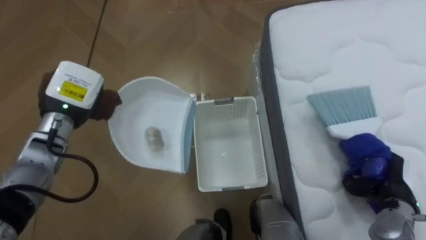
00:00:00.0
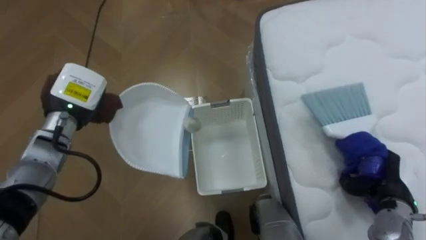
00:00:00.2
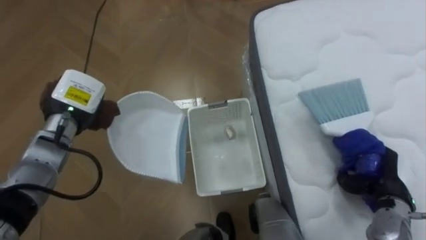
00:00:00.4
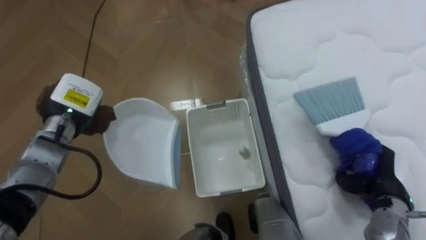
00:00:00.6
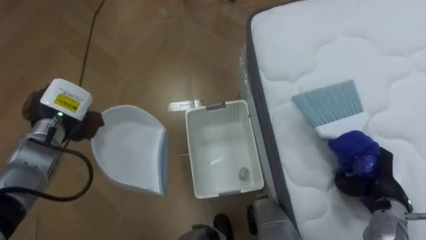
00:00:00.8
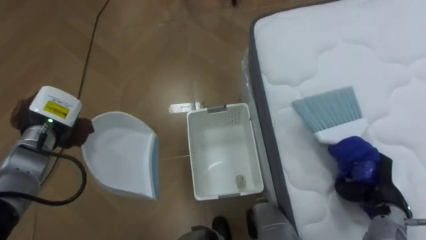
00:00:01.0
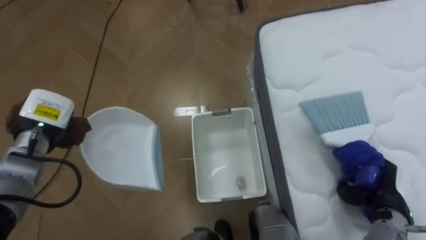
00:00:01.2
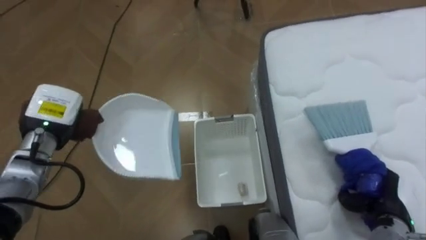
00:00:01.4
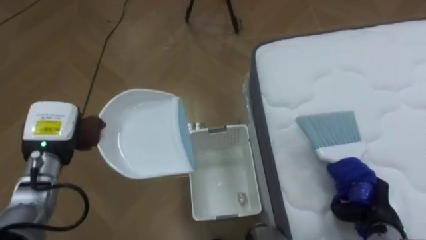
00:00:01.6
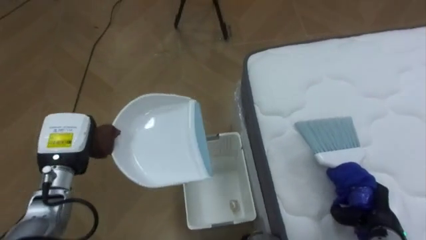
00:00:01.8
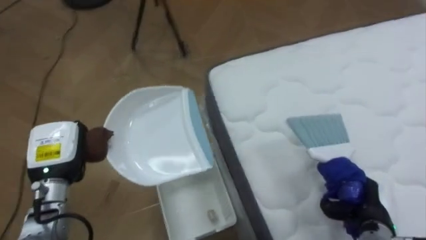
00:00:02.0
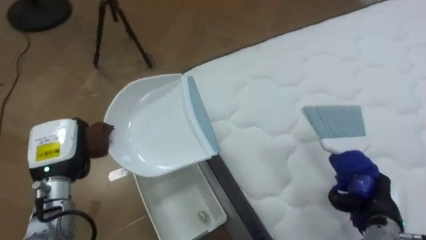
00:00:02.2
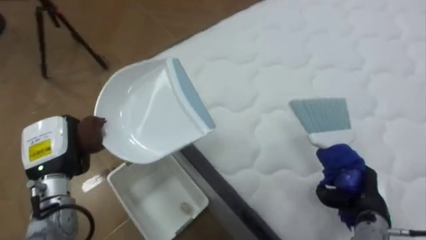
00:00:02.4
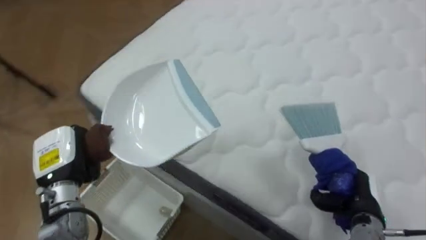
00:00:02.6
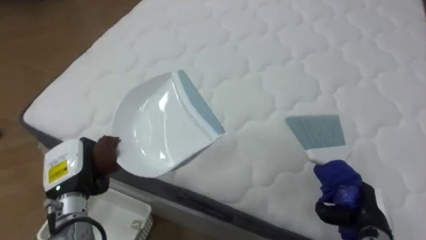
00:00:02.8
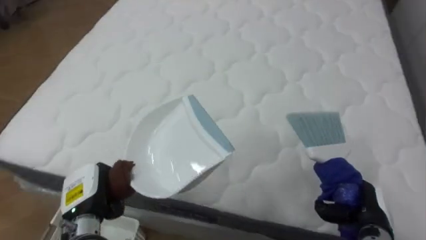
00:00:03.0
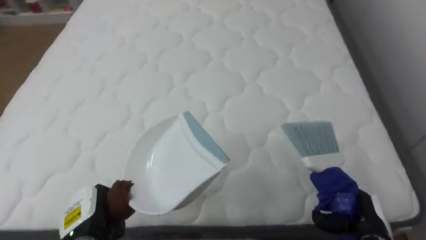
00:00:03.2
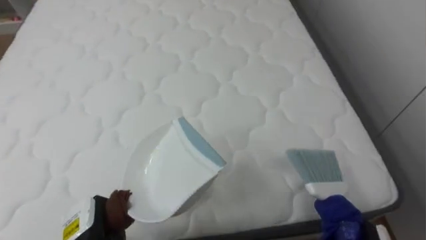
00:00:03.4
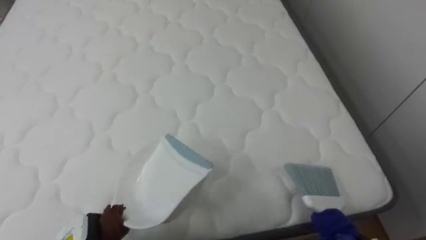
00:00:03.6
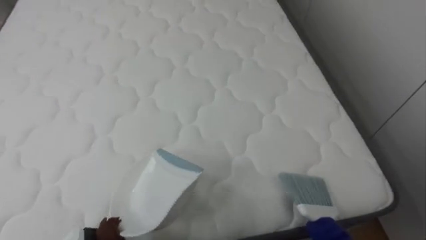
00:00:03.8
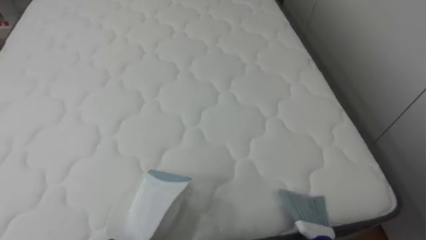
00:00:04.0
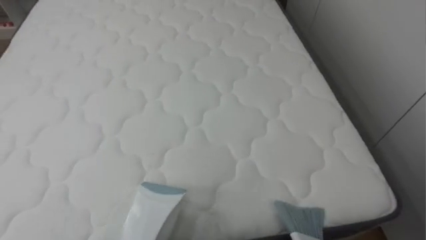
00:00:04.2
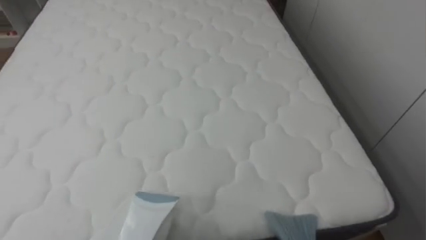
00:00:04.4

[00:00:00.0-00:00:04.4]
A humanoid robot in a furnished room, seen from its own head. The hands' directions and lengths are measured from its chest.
Task of the whole recording: Pick up the brush on your right and the dustpan on your left. Use the brush to sweep the crumpled paper on the bed into the dustpan, then turn left and empty it into the basket.
00:00:00.0 to 00:00:01.4: The left hand changes place by some 5 cm.
00:00:01.4 to 00:00:03.0: The robot rotates some 80 degrees to its right. The left hand goes some 15 cm backward, downward and to the right.
00:00:03.0 to 00:00:04.4: The robot's body swings some 25 degrees to its right.

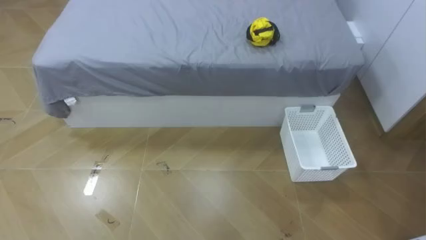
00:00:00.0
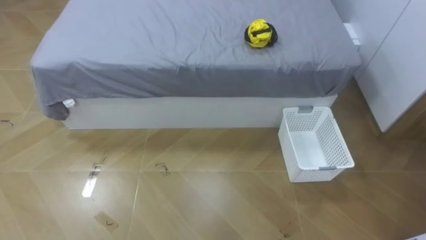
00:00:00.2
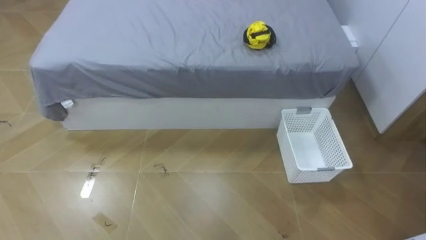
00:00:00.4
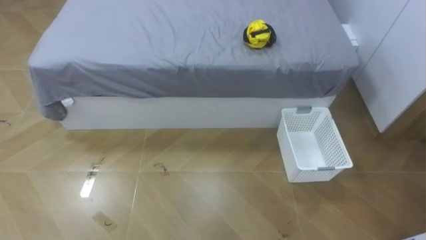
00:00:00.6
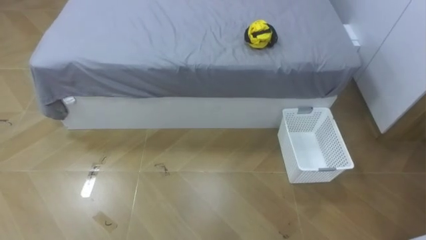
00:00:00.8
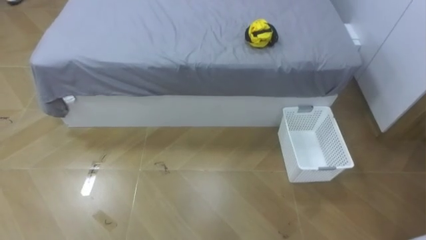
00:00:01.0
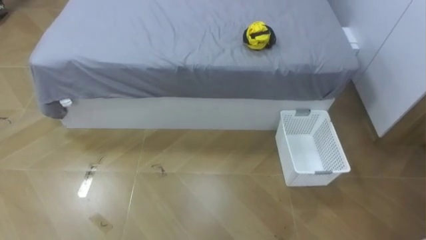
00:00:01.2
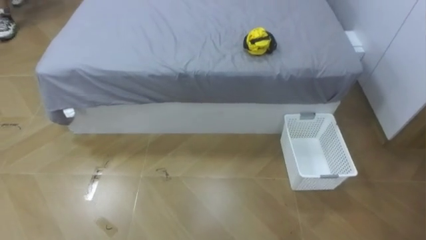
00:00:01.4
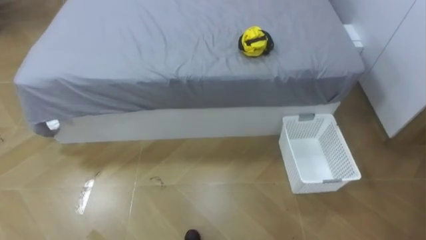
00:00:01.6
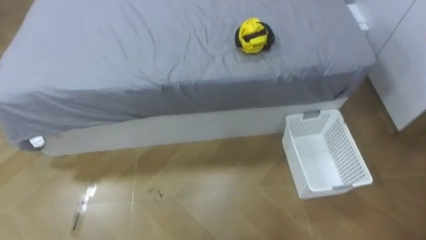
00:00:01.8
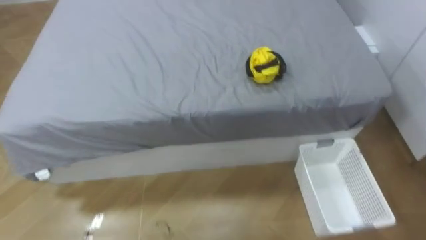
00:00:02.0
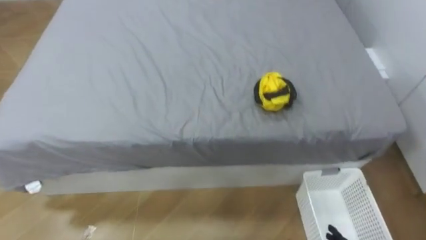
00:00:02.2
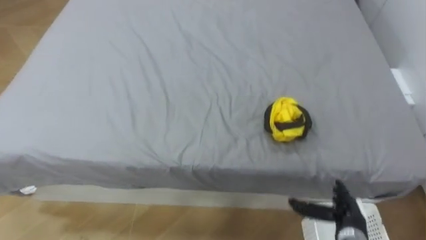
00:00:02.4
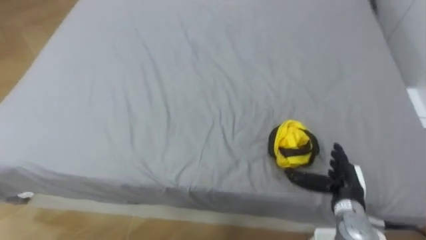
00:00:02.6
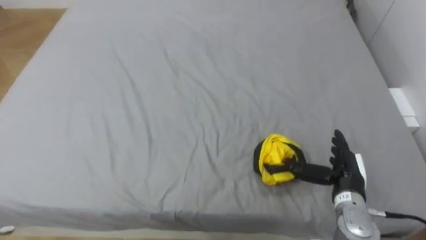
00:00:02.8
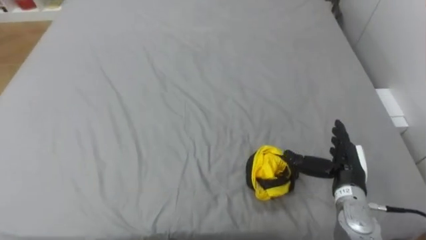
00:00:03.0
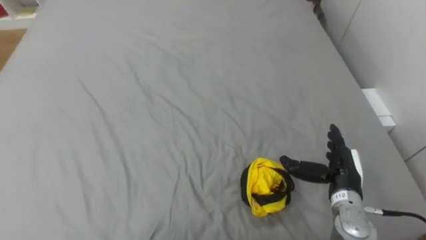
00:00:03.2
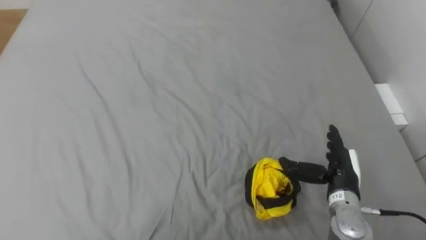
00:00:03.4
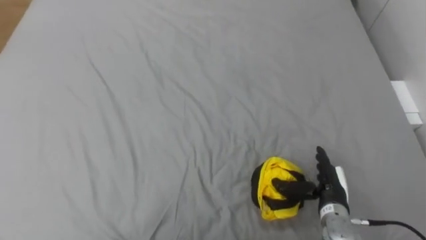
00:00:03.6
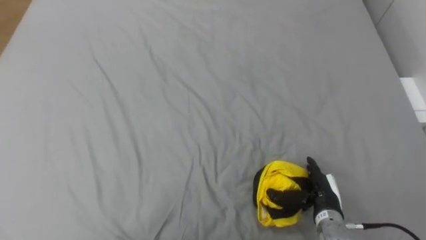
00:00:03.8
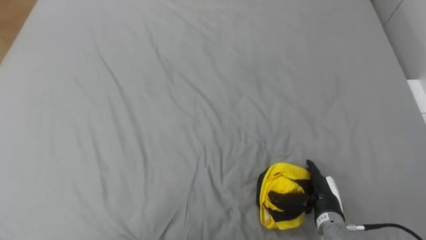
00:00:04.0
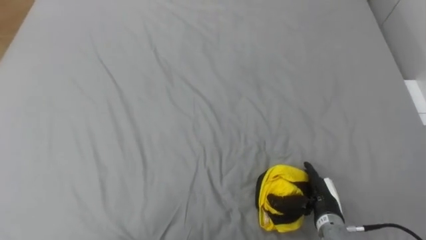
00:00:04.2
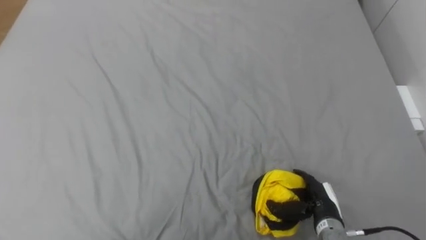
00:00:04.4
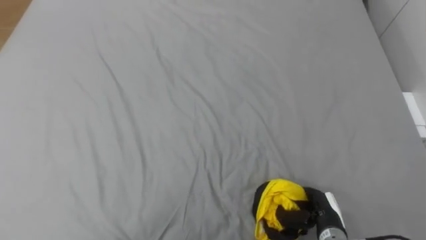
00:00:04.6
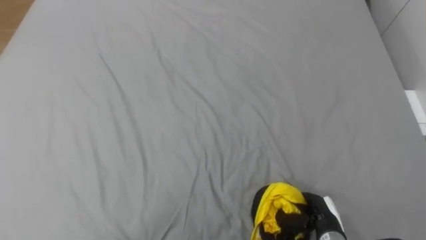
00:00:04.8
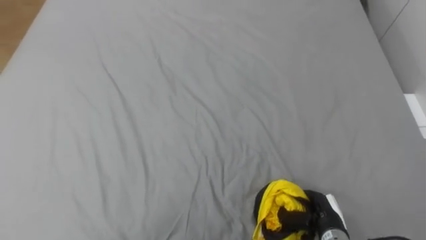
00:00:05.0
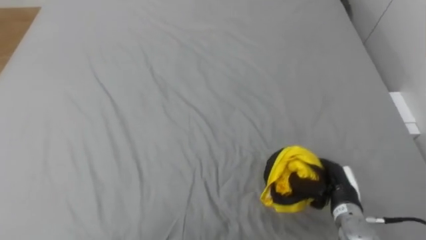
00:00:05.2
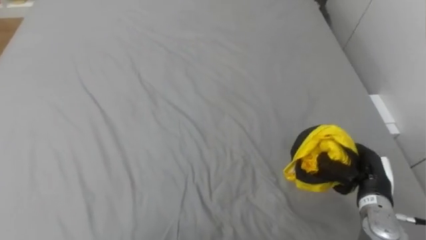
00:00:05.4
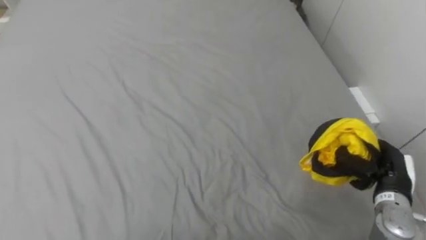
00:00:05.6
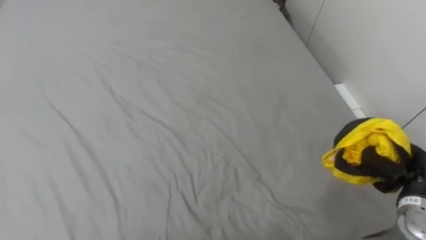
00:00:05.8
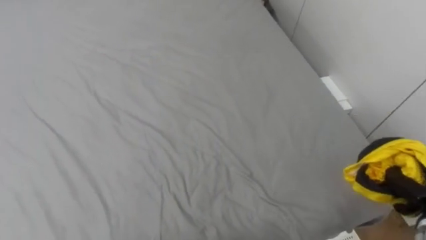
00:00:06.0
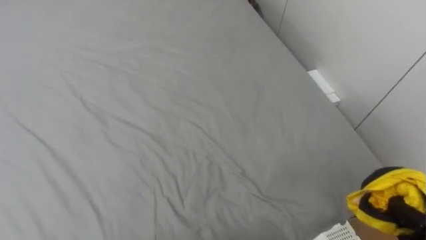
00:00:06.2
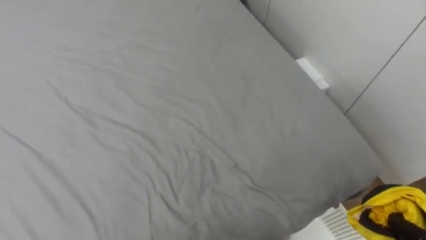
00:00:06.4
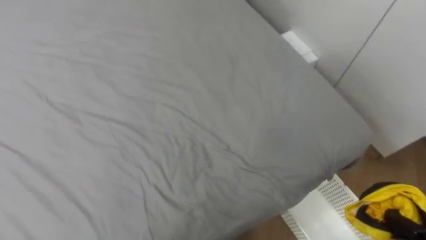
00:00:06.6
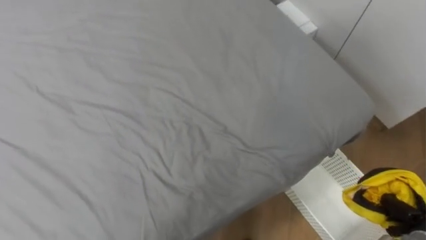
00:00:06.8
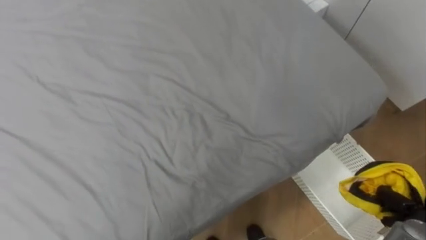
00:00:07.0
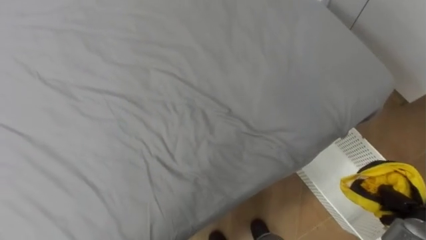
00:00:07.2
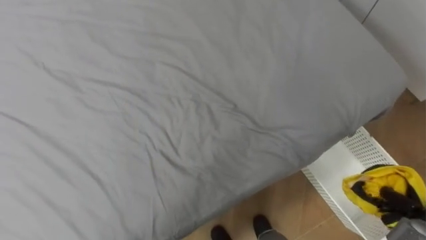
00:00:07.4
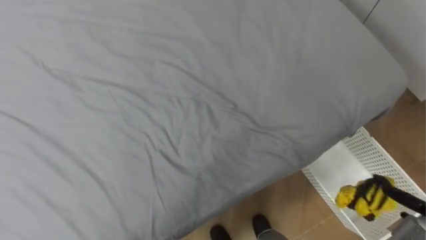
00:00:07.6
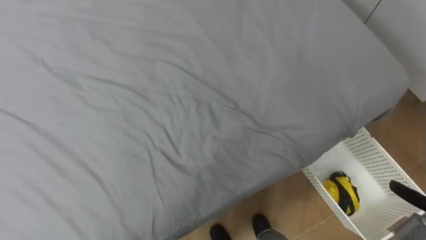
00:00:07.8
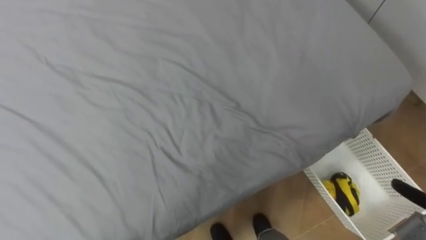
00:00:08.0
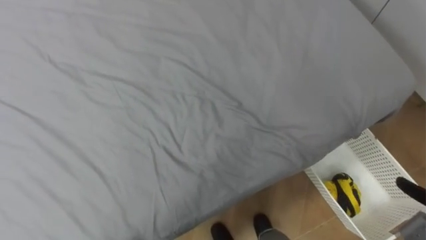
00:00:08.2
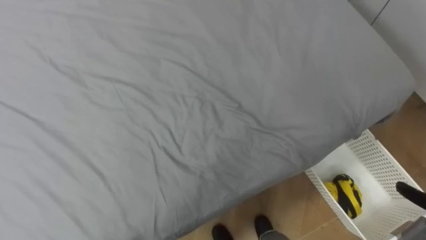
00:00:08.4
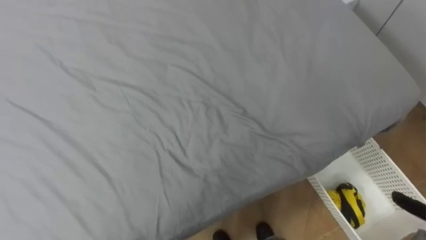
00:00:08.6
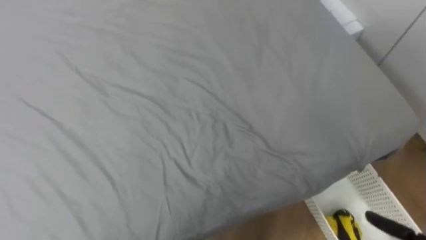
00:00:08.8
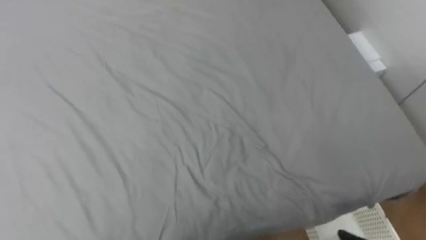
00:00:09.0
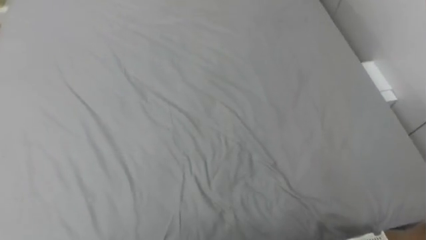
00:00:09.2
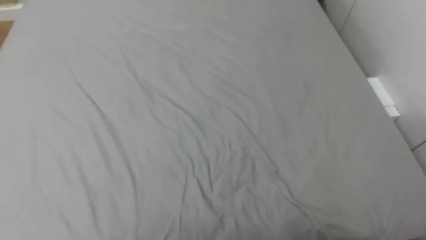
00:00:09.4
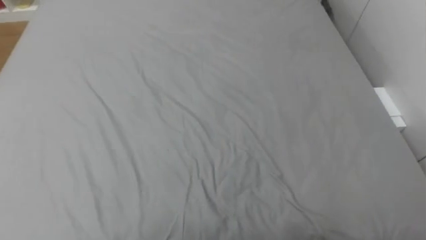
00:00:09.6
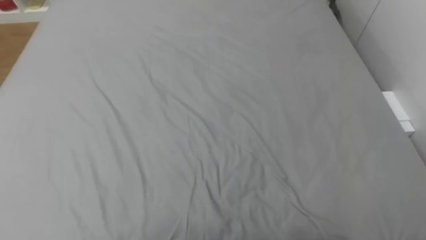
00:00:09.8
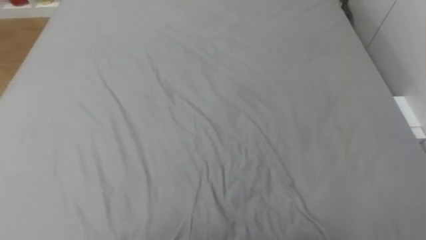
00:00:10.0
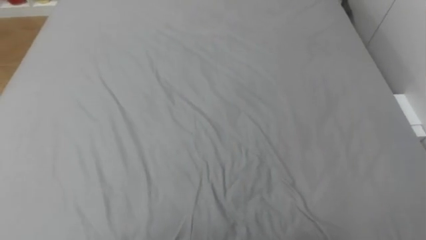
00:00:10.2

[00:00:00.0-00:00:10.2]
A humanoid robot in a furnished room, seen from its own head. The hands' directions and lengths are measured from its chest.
Task of the whole recording: Pick up the yellow clothes on the bed and place them into the white basket on the right.
00:00:03.0 to 00:00:04.4: The right hand moves downward, roughly 10 cm.
00:00:04.4 to 00:00:05.8: The right hand goes about 20 cm to the right and upward, and closes.

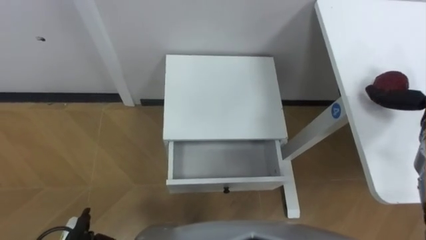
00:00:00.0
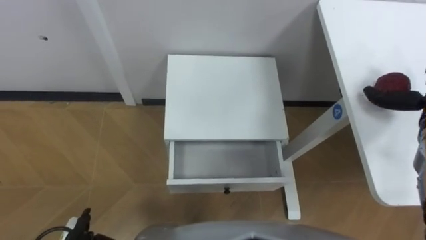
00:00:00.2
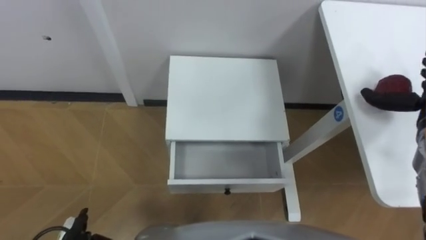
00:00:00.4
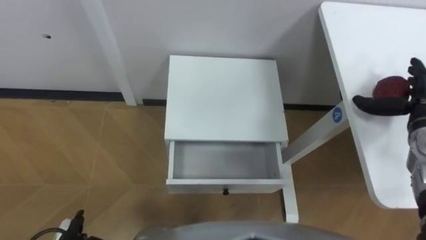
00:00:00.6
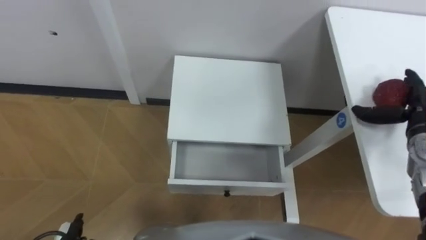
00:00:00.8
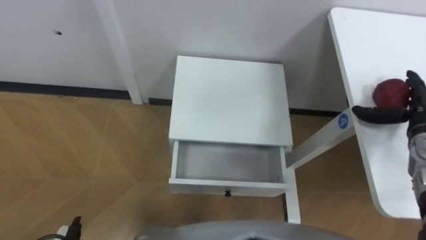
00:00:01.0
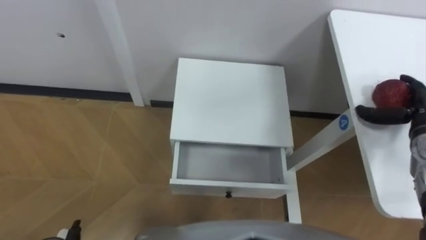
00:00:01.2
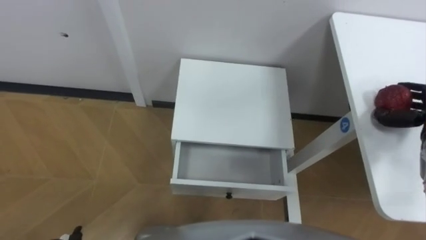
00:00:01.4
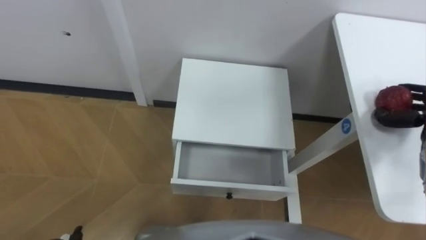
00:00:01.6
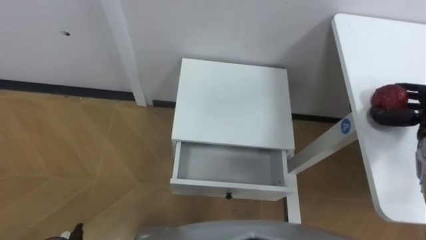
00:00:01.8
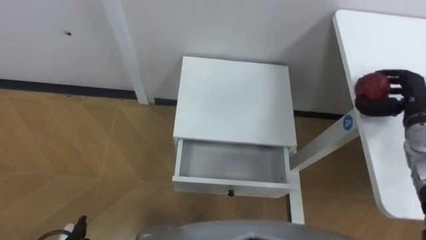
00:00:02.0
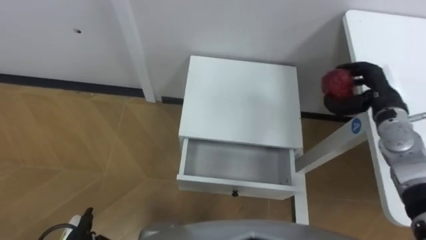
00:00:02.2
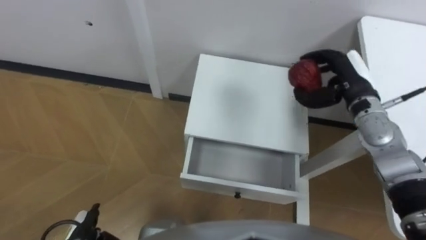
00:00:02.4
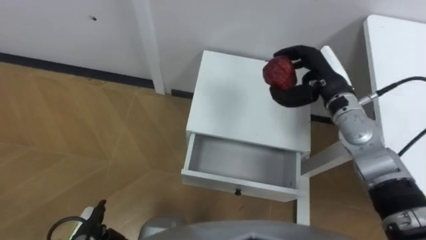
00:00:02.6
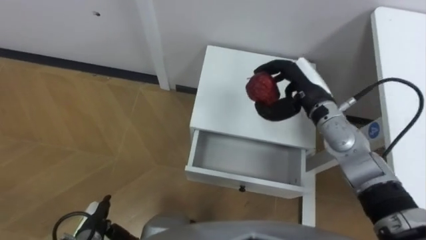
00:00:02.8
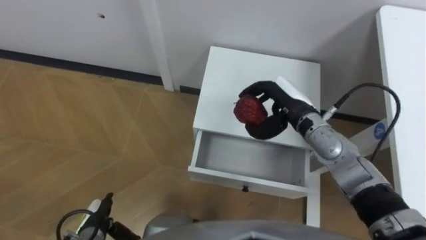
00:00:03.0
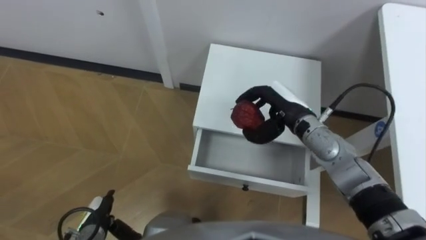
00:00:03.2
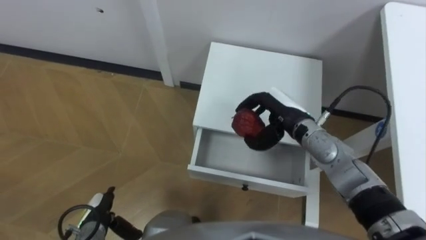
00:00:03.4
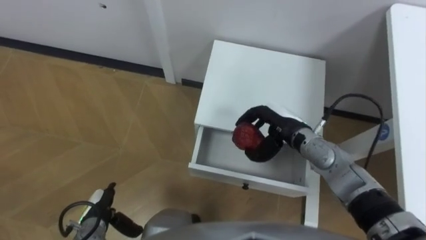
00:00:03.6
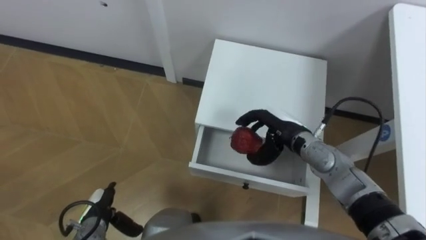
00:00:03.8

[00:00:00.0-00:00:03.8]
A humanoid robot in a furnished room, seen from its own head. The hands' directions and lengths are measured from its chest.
Task of the whole recording: Pick up the apple from the table, put it in the drawer, and close the drawer with leg.
00:00:02.6 to 00:00:03.8: The right hand is displaced downward, to the left and backward by roughly 15 cm.
